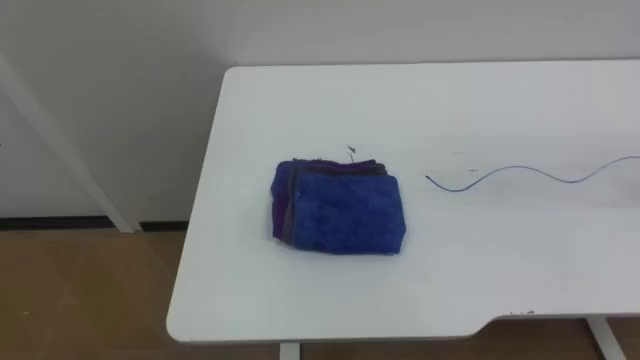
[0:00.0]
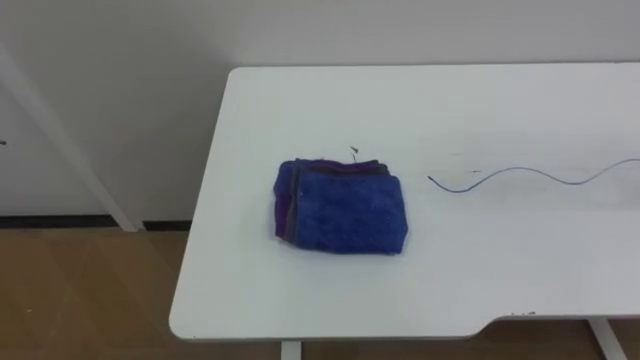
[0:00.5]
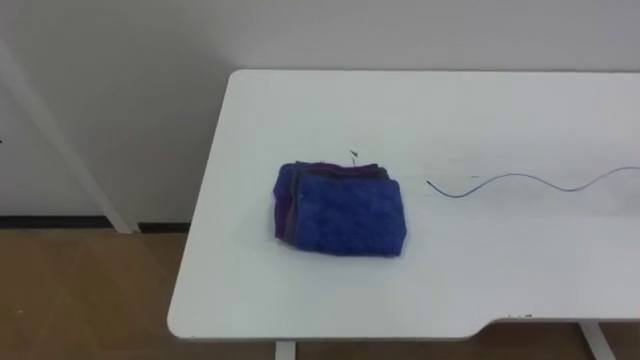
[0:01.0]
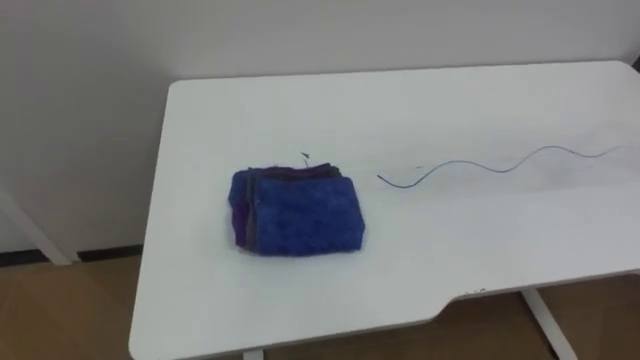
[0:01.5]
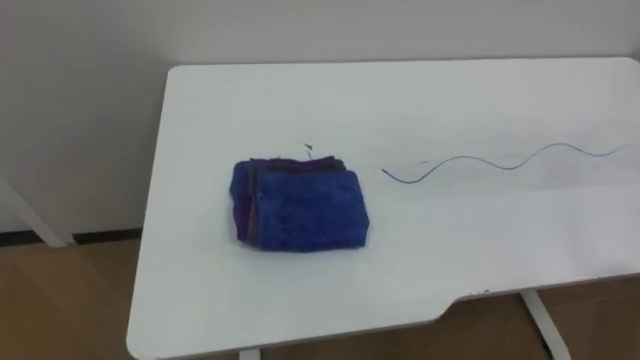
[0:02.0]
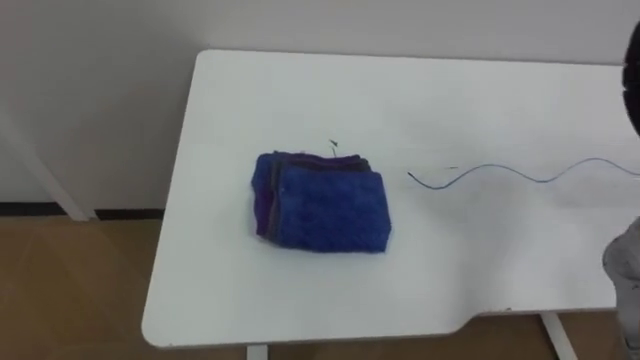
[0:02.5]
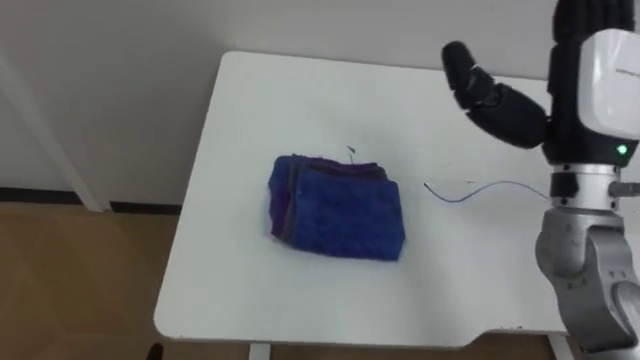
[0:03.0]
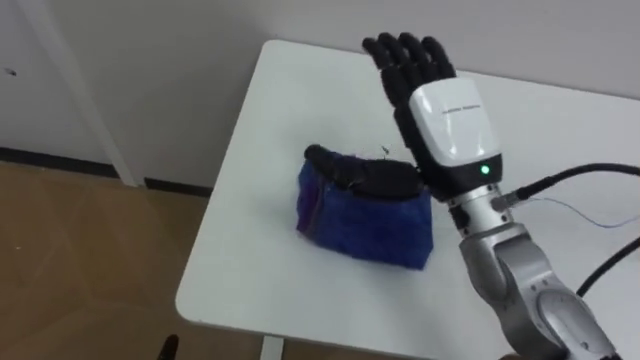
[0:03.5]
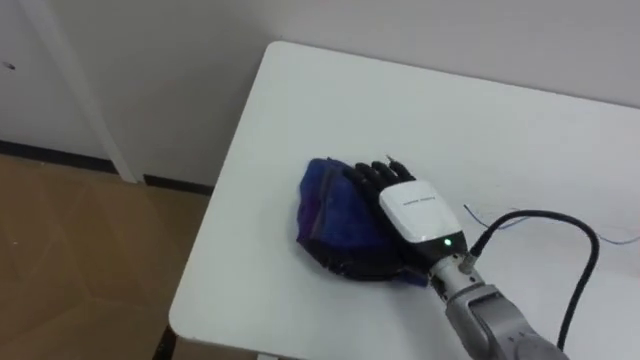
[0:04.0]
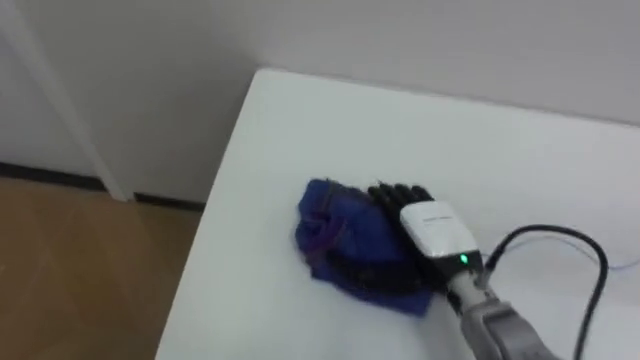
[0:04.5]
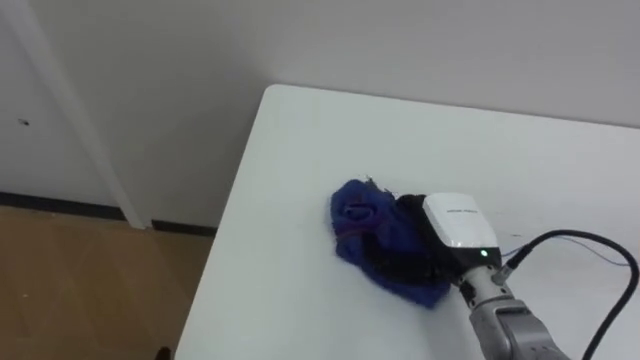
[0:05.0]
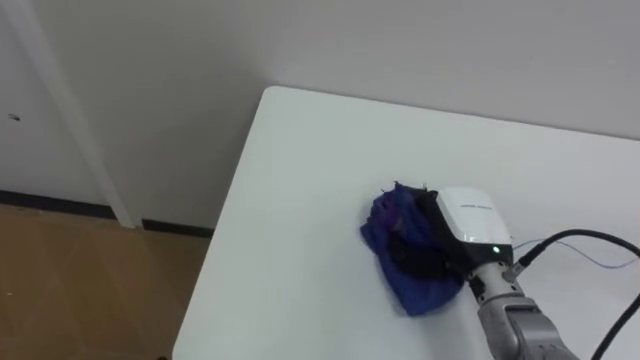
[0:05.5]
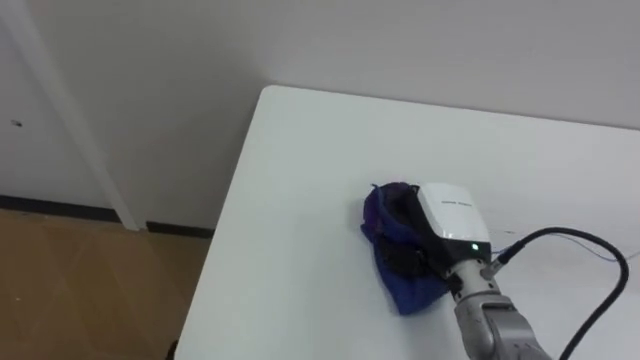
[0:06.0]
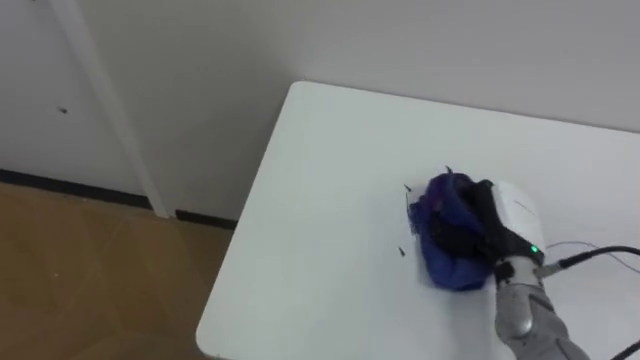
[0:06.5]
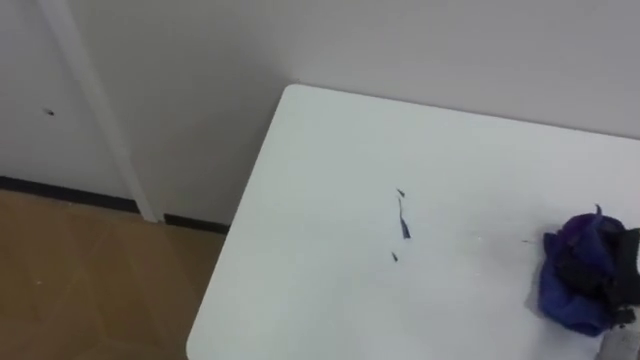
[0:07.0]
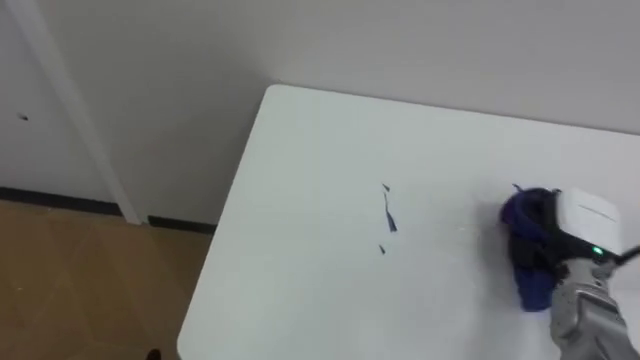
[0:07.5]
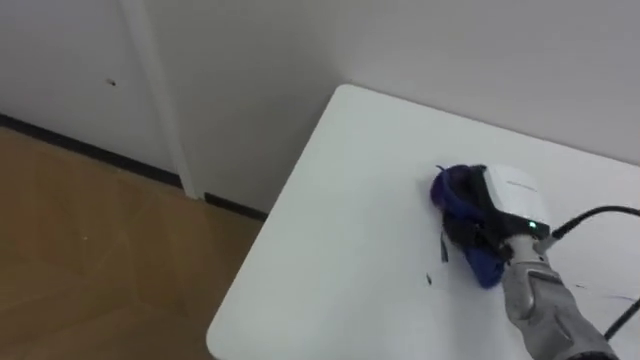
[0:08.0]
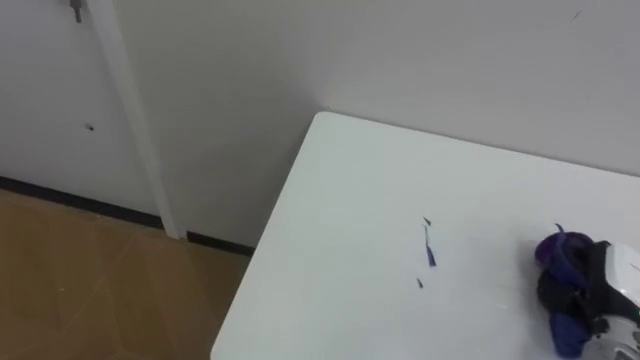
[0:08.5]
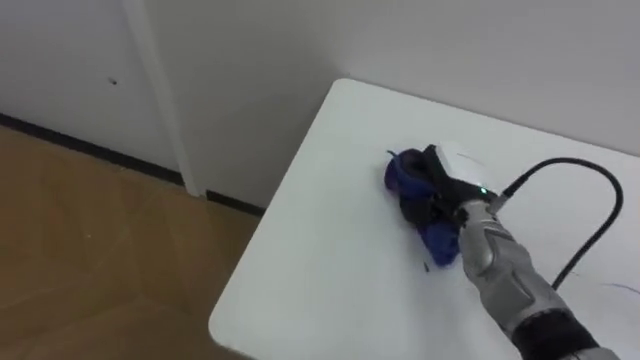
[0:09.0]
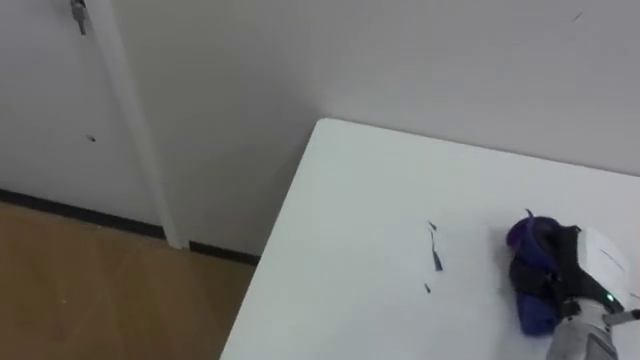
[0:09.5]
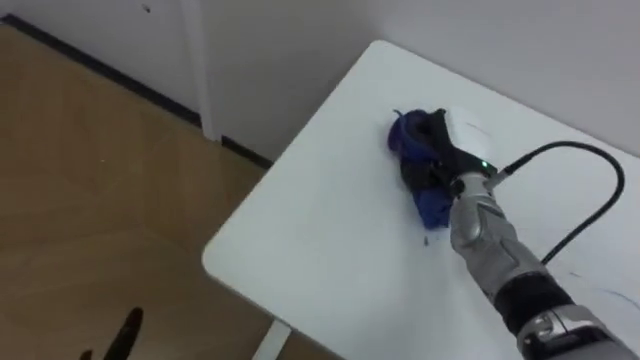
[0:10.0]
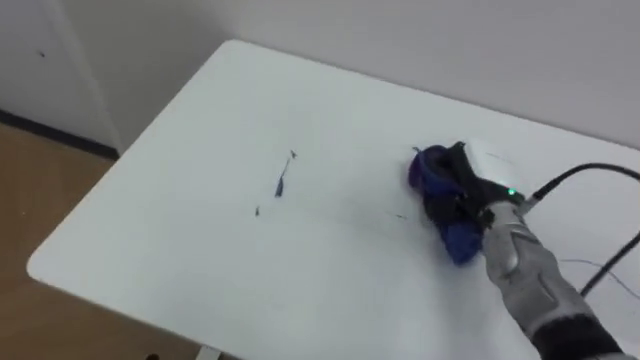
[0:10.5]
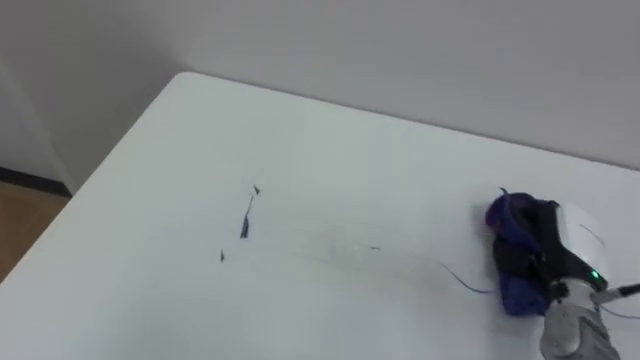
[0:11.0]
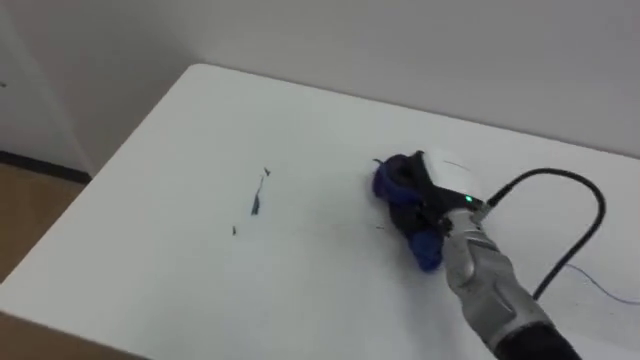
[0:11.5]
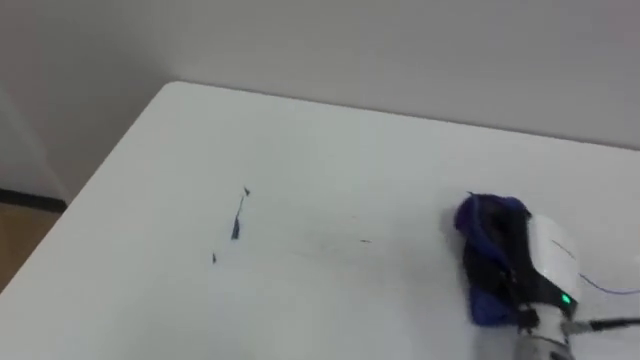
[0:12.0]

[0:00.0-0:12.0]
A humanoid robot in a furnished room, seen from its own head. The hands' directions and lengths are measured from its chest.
Task of the whole recording: Wipe the blue pen marks off the table with the rag.
0:04.0 to 0:06.0: The right hand closes its fingers.
0:08.0 to 0:10.0: The right hand moves left and right over about 20 cm, changing direction 3 times.
0:10.0 to 0:12.0: The right hand swings left and right, about 15 cm each way, with 2 reversals.

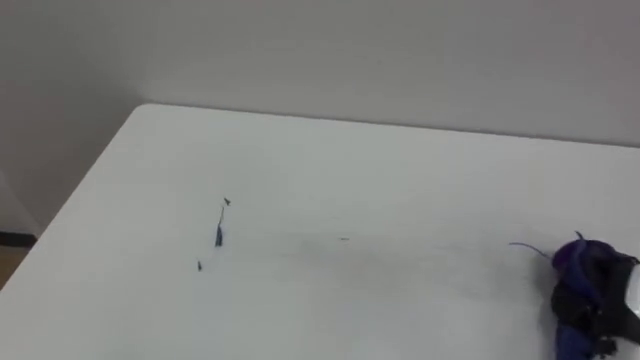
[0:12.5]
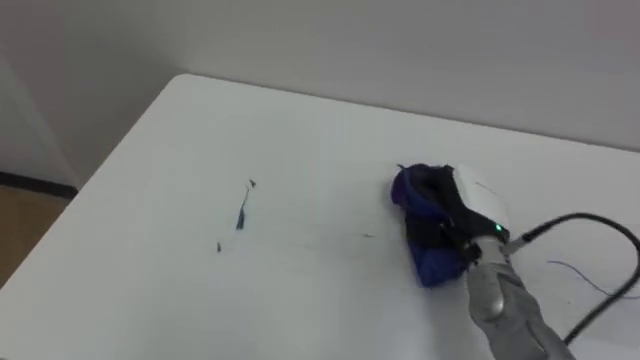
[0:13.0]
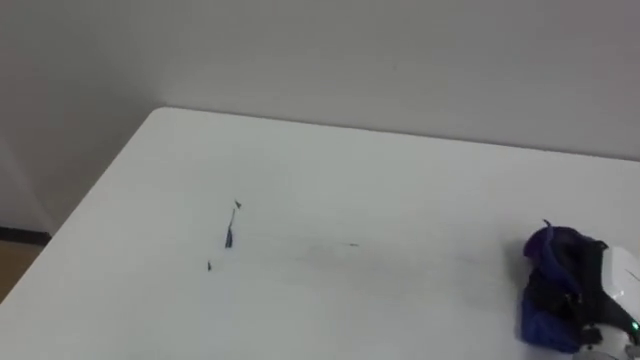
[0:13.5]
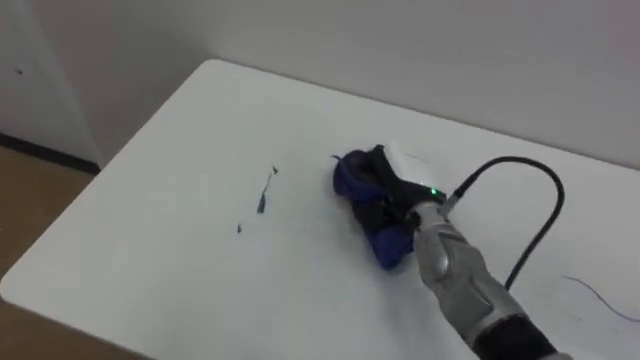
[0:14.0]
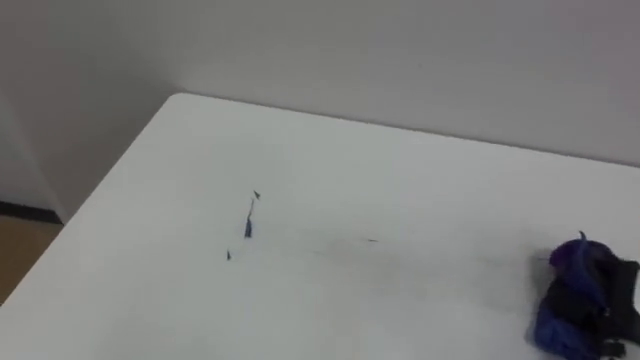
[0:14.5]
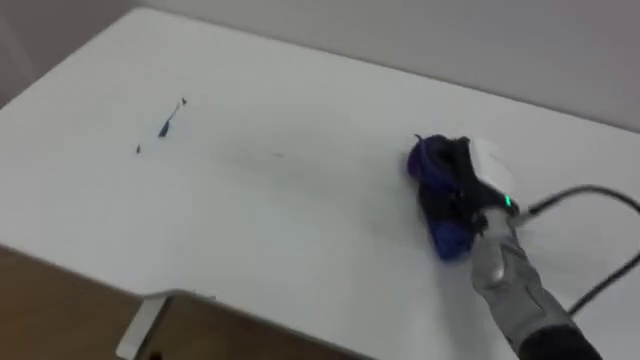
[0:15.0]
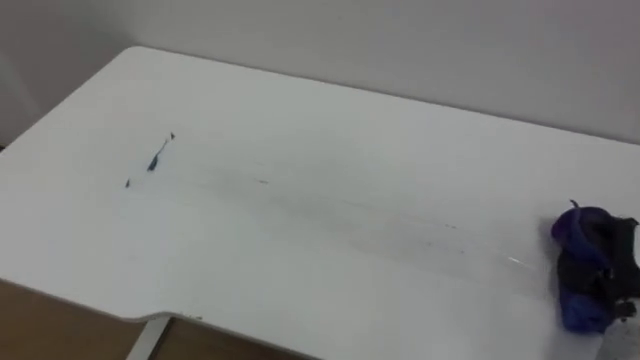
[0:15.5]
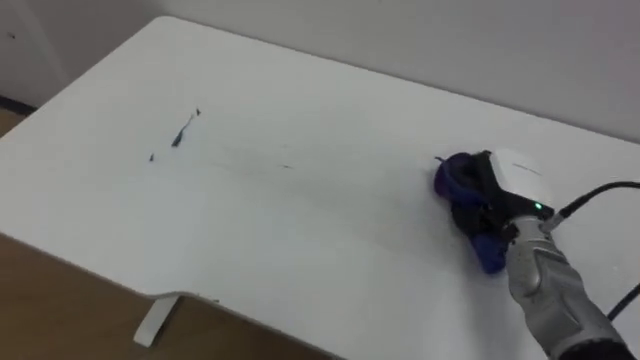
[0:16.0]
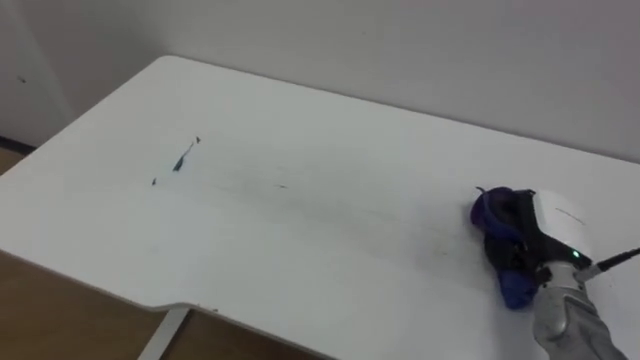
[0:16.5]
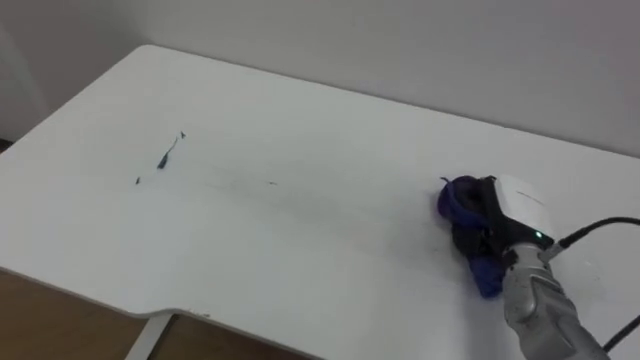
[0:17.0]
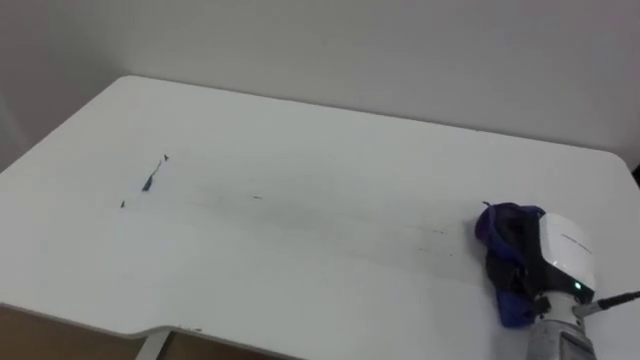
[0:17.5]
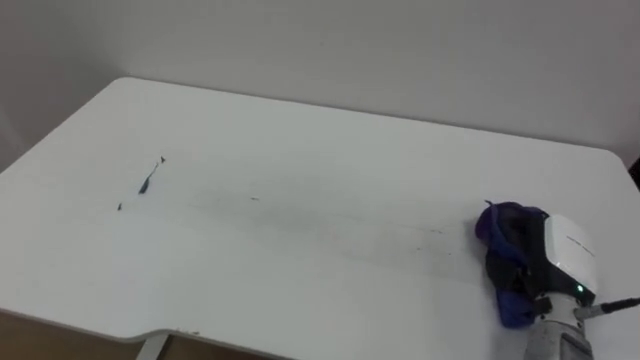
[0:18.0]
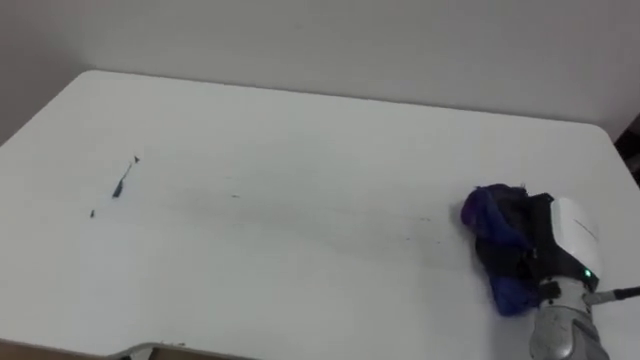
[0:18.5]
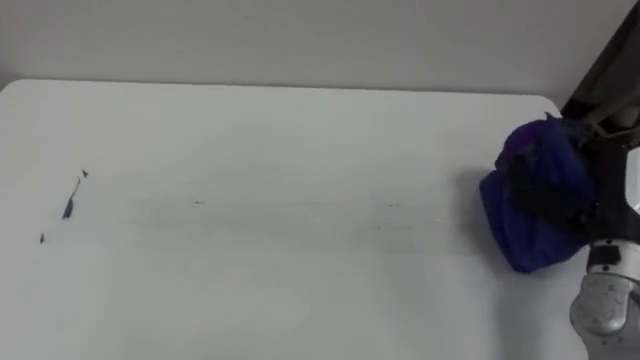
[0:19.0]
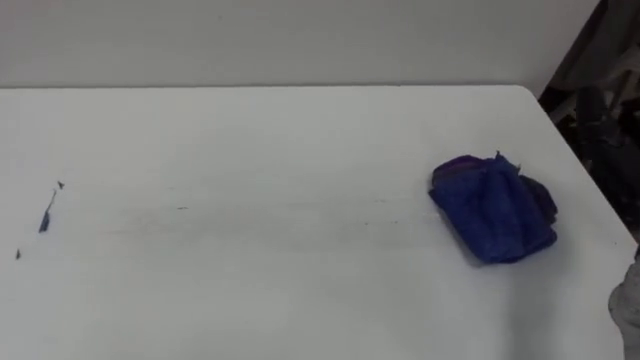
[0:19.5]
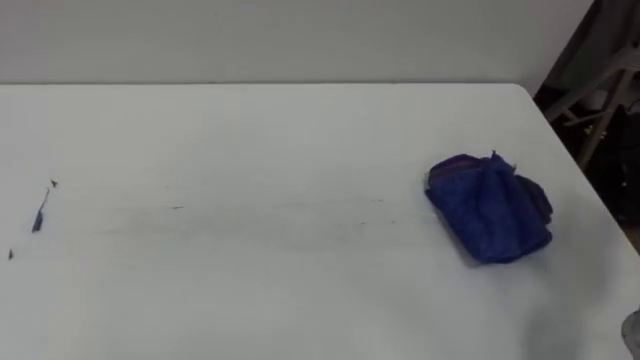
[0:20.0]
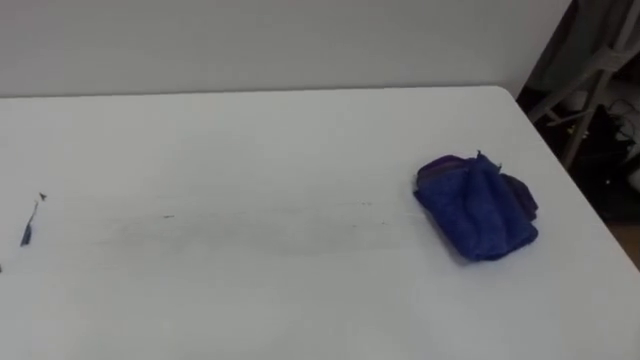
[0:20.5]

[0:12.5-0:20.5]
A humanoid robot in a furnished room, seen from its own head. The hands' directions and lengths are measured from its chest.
Task of the whole recording: Wipe the blue pen marks off the table with the rag.
0:12.5 to 0:14.5: The right hand moves left and right over approximately 25 cm, changing direction 3 times.
0:14.5 to 0:16.5: The right hand moves left and right over about 15 cm, changing direction 3 times.
